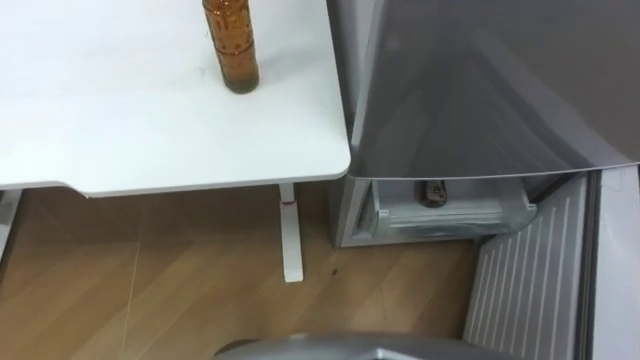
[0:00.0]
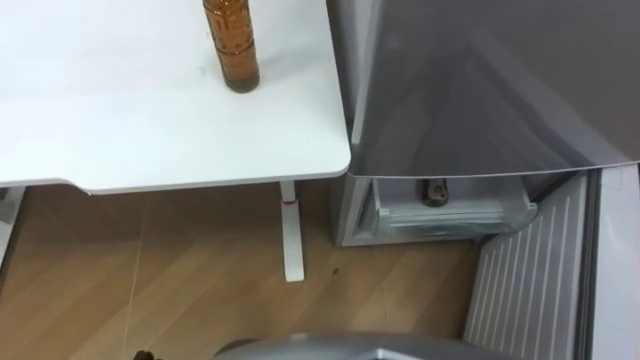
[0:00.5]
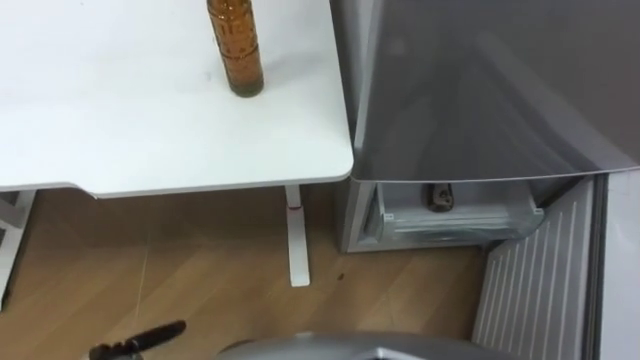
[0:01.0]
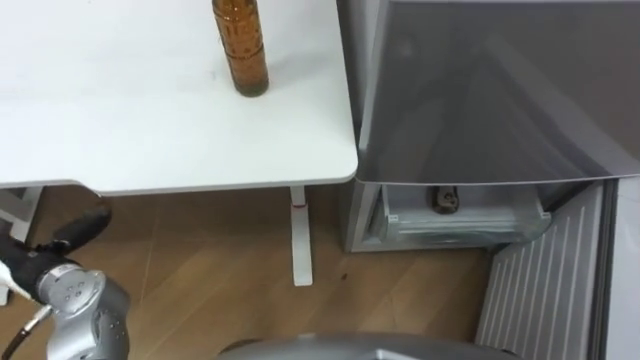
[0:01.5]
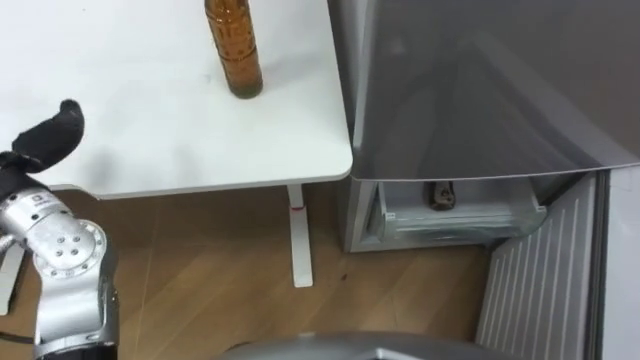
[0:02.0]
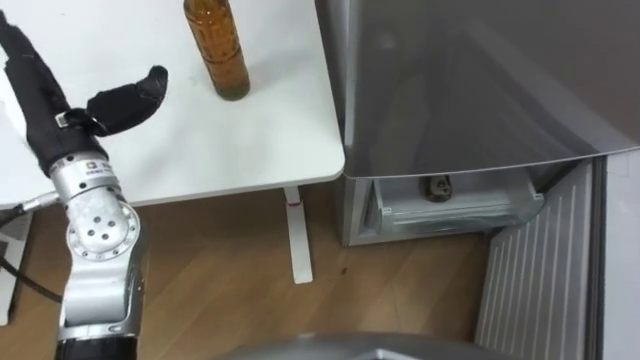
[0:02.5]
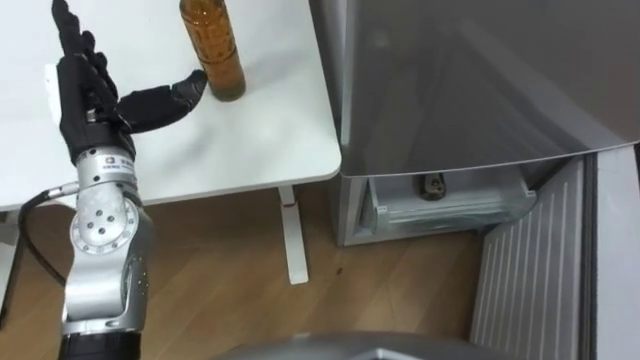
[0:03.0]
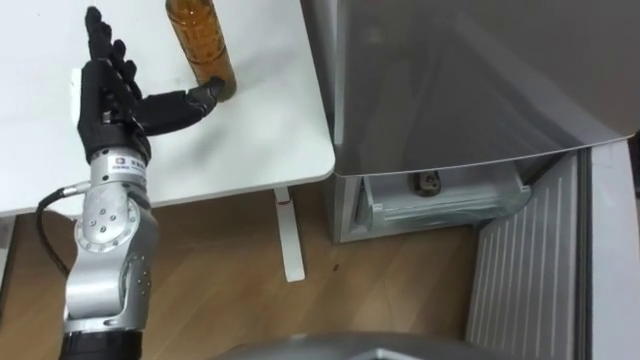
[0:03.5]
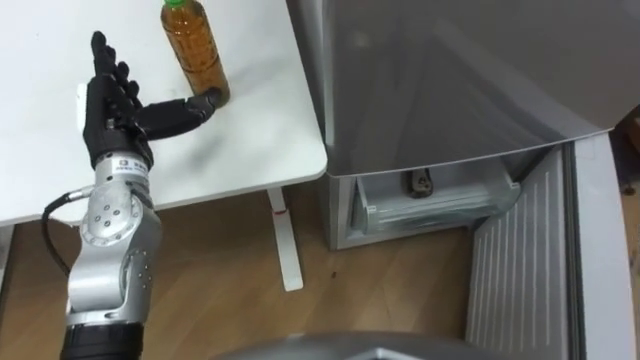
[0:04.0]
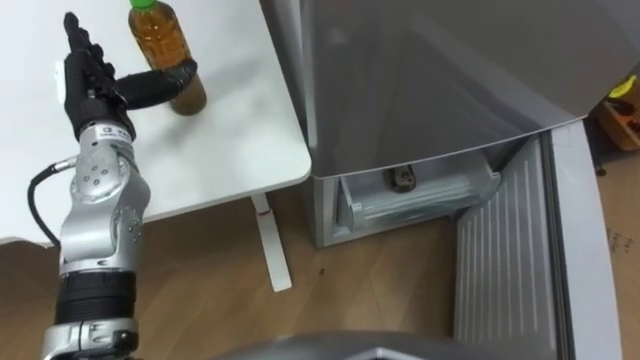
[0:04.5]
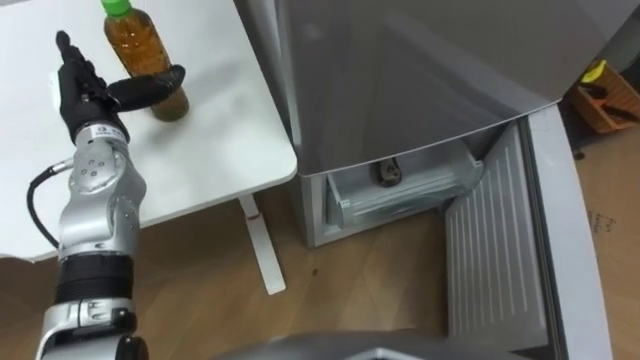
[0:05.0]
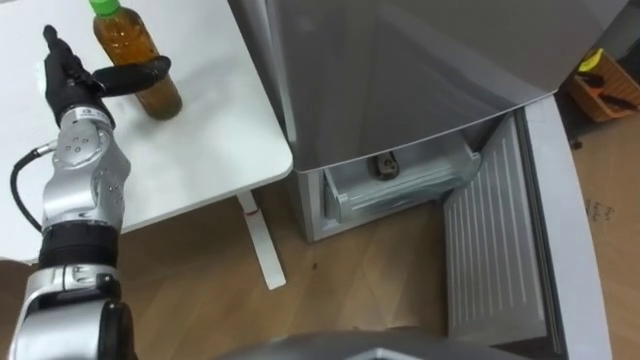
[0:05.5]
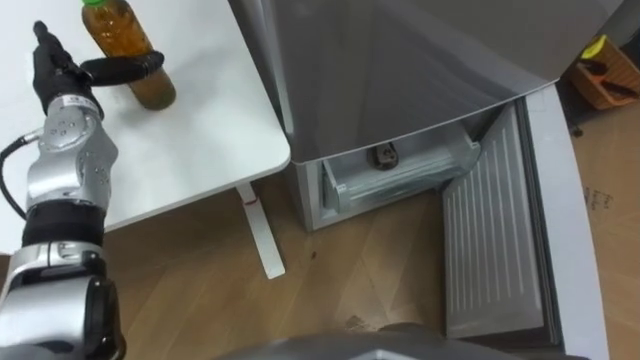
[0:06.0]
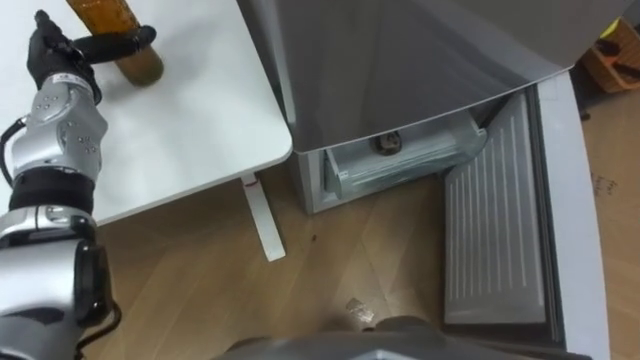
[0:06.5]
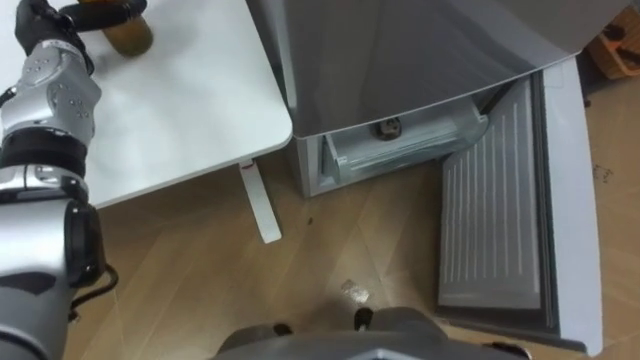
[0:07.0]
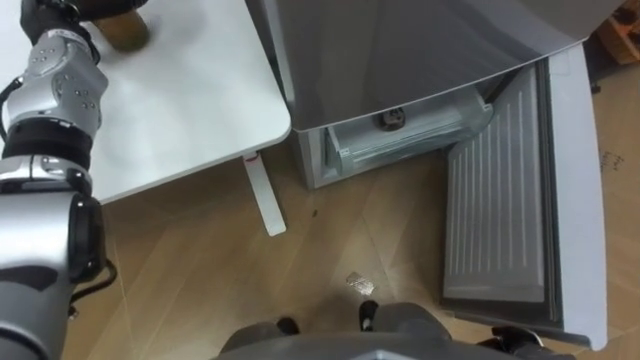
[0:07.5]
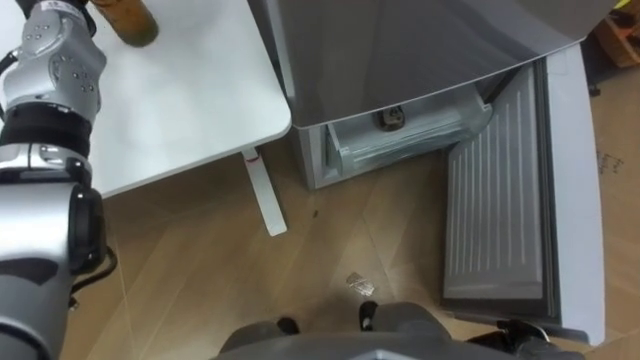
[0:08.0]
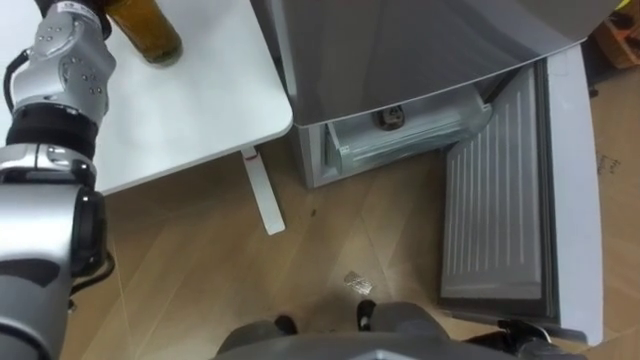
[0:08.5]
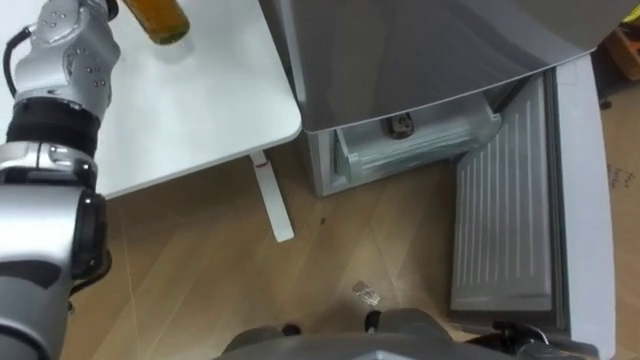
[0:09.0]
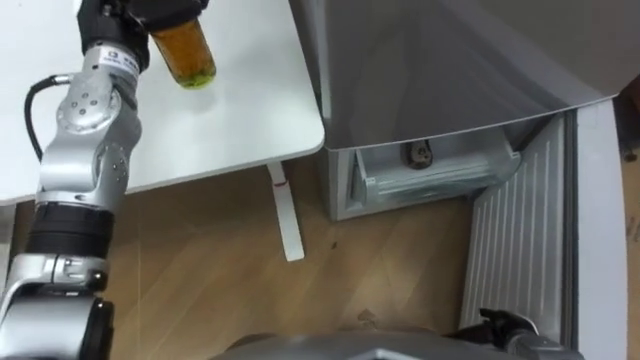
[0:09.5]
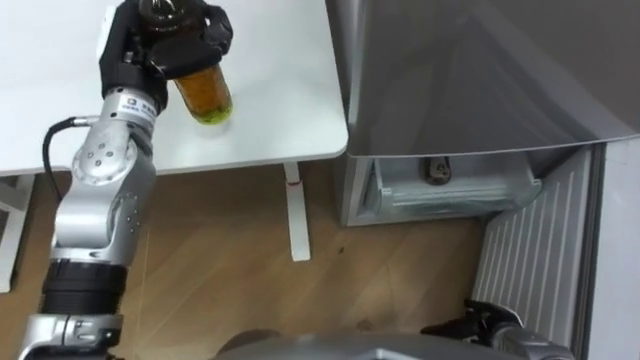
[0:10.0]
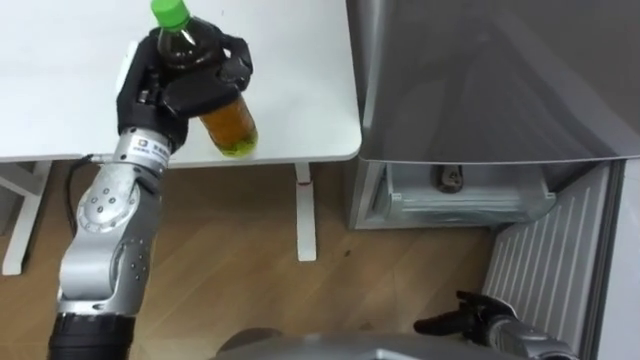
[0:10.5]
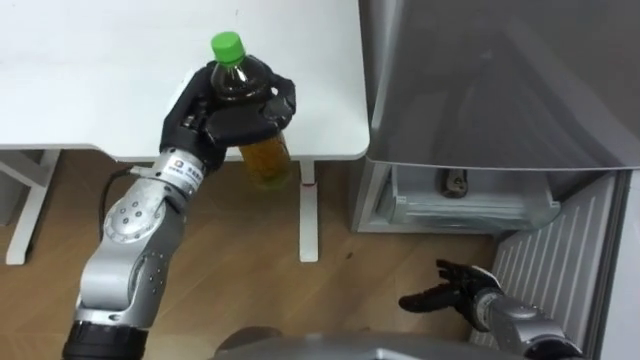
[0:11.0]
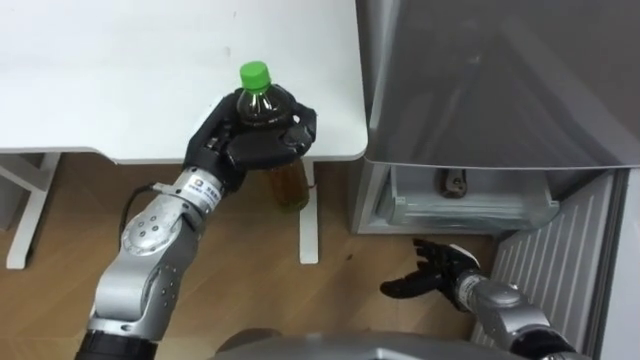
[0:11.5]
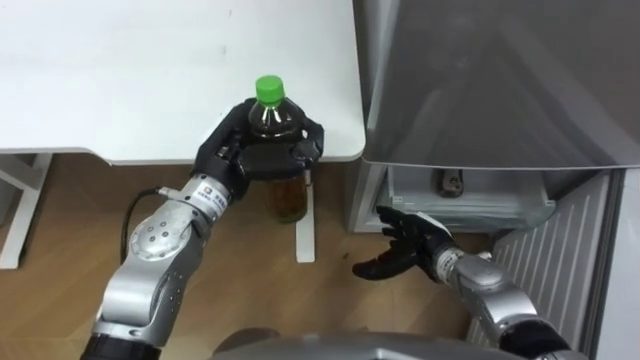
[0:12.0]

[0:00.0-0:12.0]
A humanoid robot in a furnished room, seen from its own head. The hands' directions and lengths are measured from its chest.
Task of the whole recording: Place the drink on the table on the bottom shelf of the refrigerator, then close the drawer and the refrigerator door.
0:04.0 to 0:06.0: The left hand moves to the left and forward, approximately 10 cm.
0:10.0 to 0:12.0: The left hand is displaced to the right, backward and downward by roughly 15 cm; the right hand goes roughly 15 cm forward, to the left and upward.

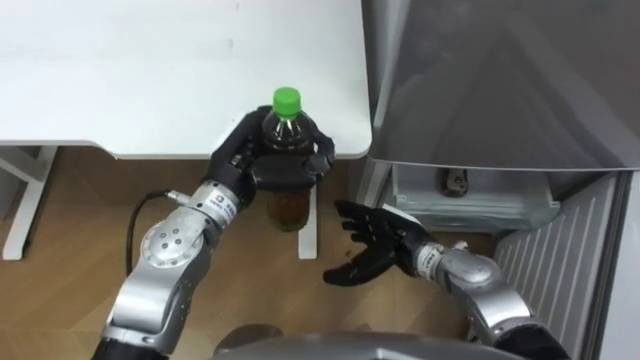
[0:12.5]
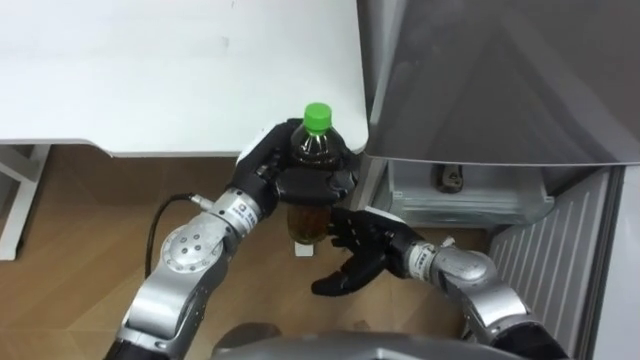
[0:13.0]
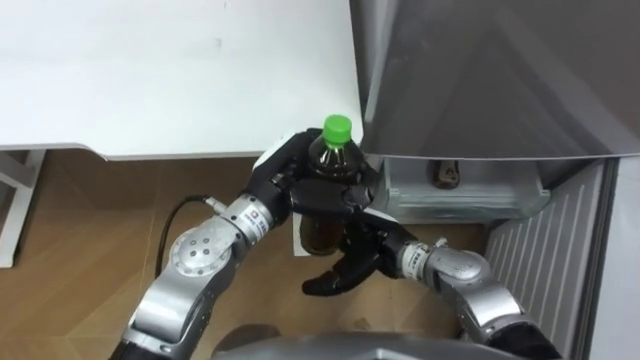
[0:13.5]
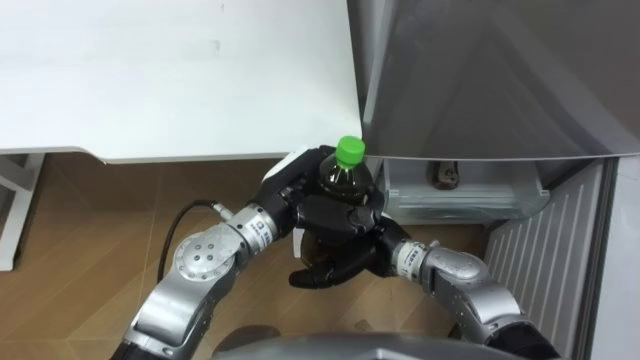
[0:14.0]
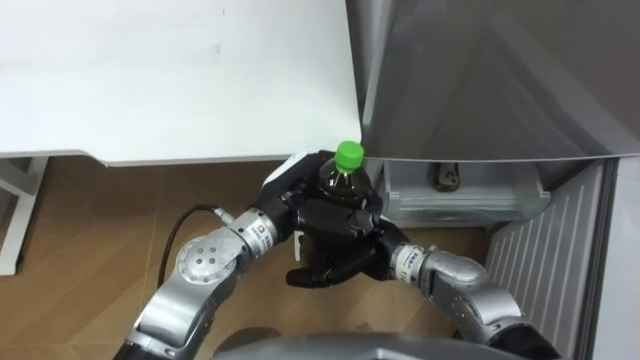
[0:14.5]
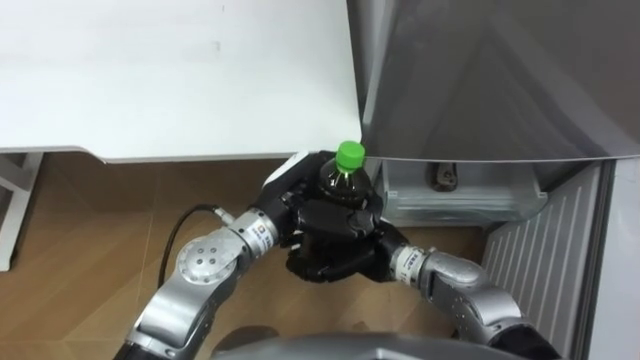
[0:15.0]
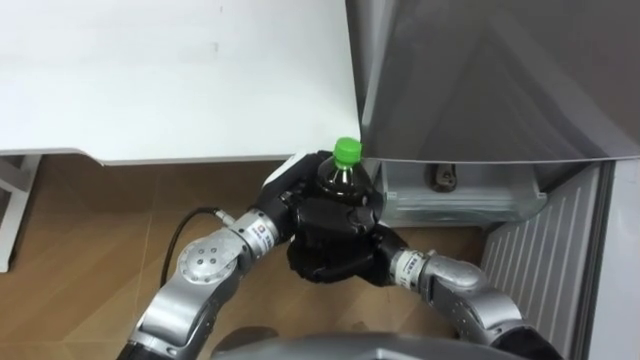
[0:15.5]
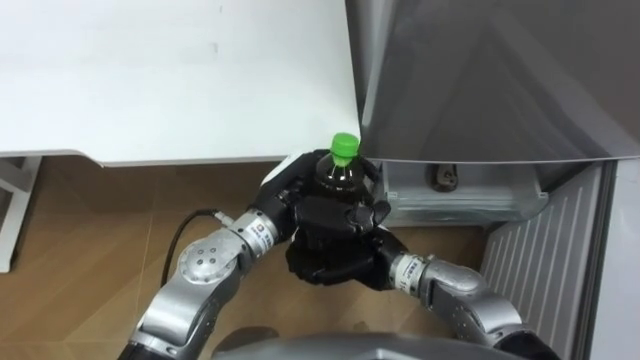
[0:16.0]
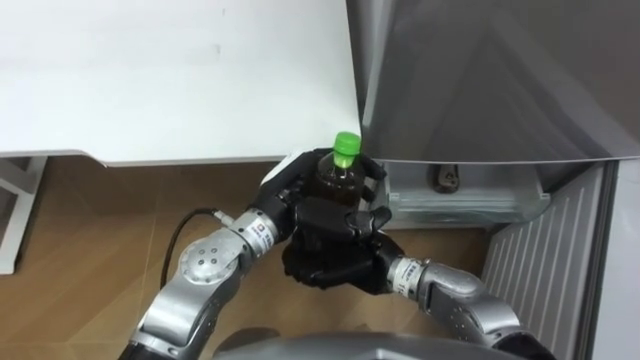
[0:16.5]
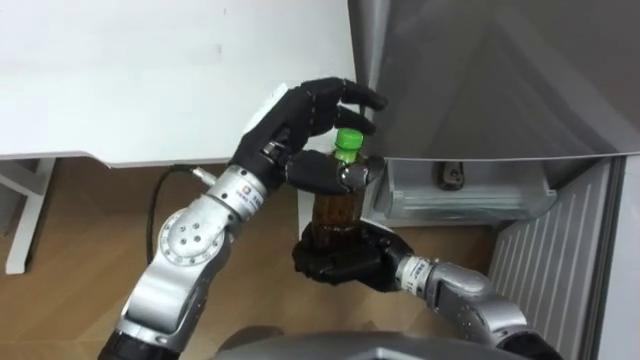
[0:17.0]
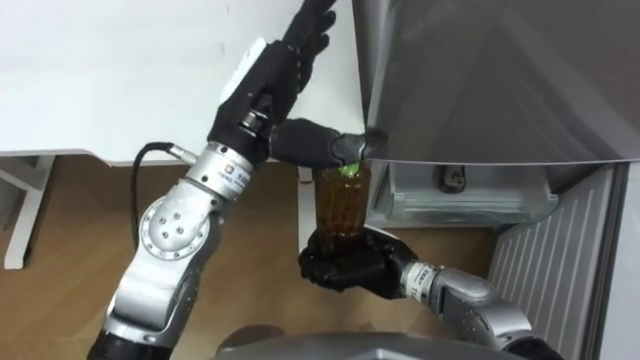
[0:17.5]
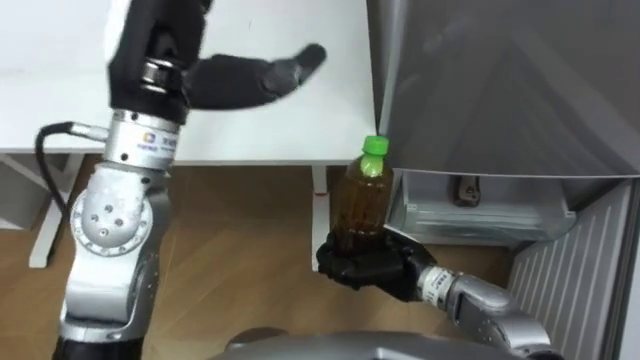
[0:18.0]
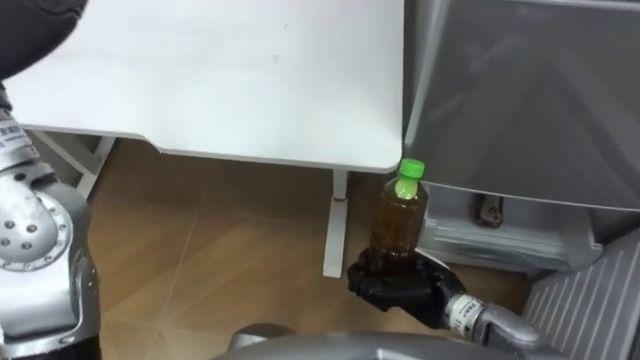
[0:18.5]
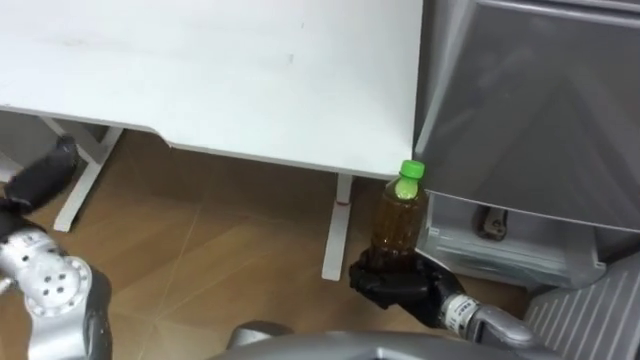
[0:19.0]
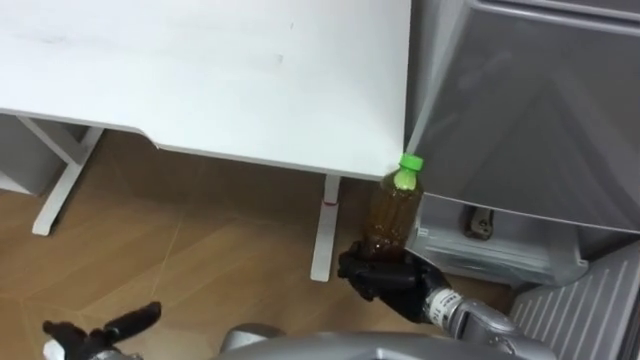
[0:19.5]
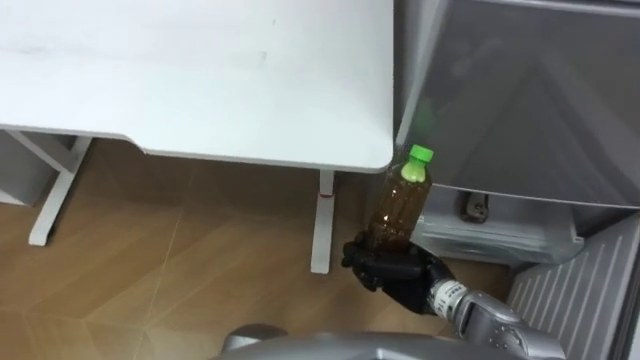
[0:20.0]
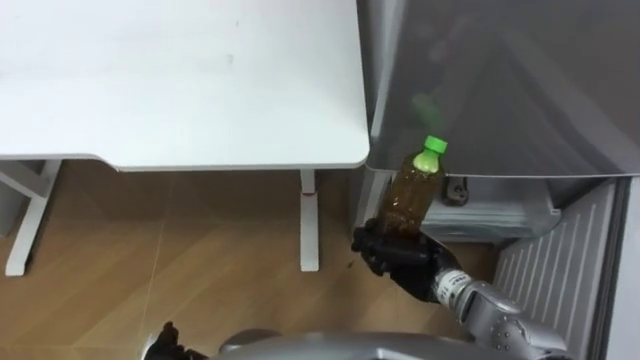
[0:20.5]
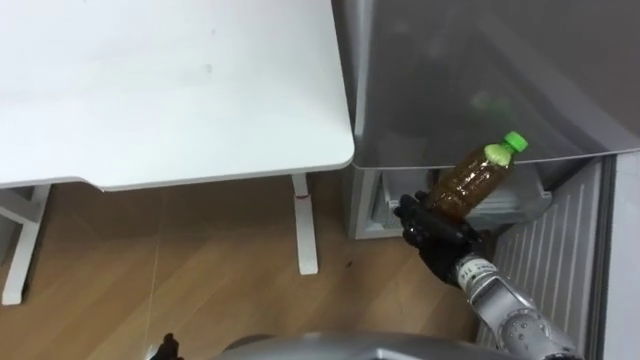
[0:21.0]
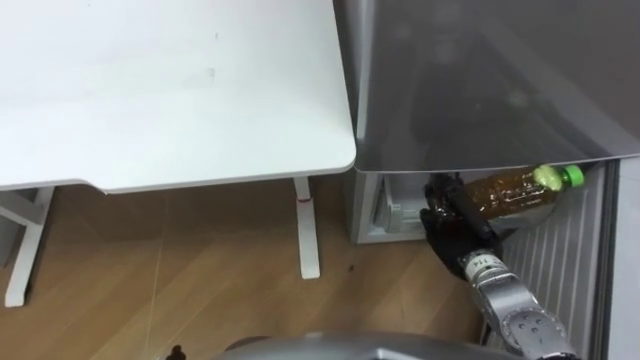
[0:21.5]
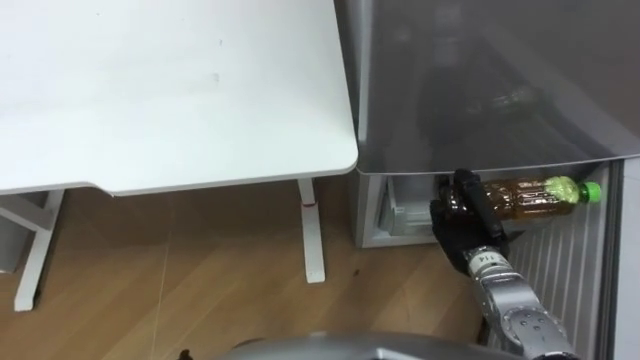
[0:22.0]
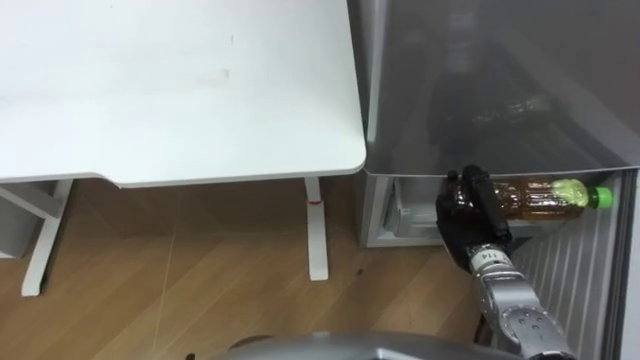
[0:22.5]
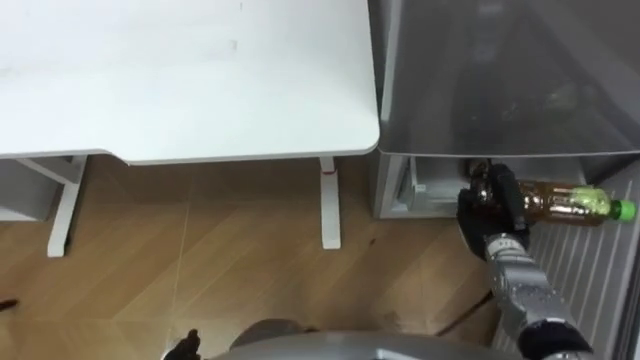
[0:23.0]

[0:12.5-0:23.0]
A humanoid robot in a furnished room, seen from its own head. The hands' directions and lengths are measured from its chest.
Task of the whole recording: Place the drink on the table on the bottom shelf of the refrigerator, then close the drawer and the refrigerator door.
0:12.5 to 0:14.5: The left hand heads to the right, covering roughly 5 cm, while the right hand heads to the left, covering some 5 cm.
0:14.5 to 0:16.5: The right hand closes.
0:16.5 to 0:19.0: The right hand is displaced to the right by some 10 cm.
0:19.0 to 0:21.0: The right hand heads forward, covering roughly 5 cm.
0:21.0 to 0:23.0: The right hand moves to the right, approximately 5 cm.
